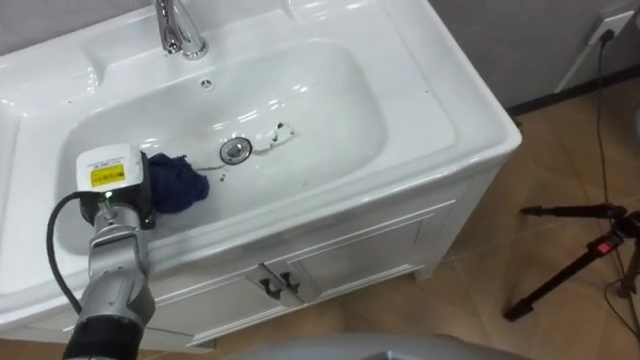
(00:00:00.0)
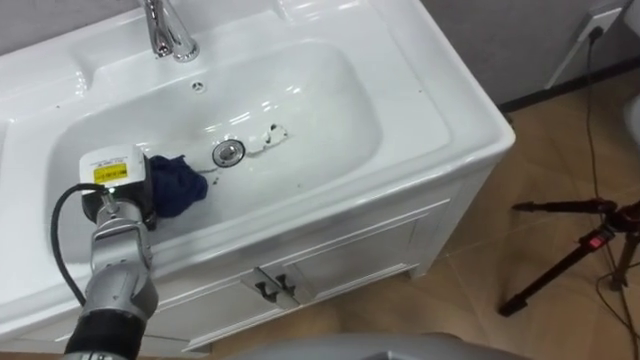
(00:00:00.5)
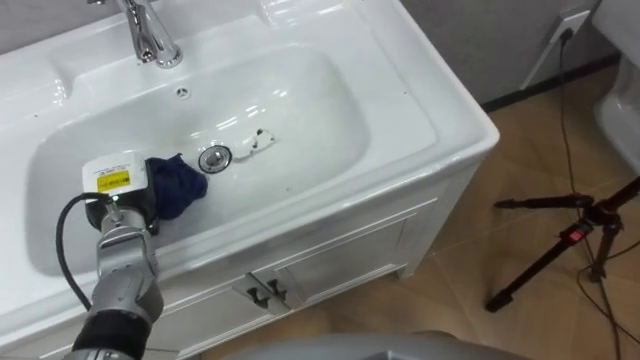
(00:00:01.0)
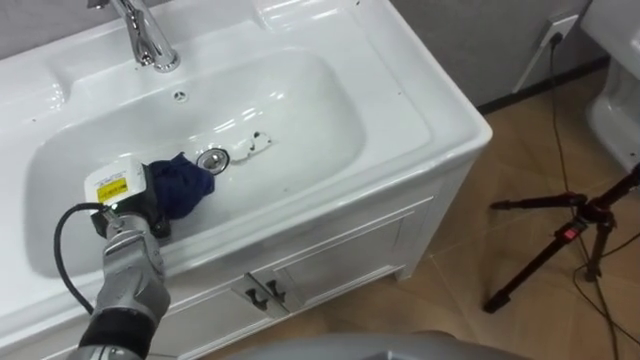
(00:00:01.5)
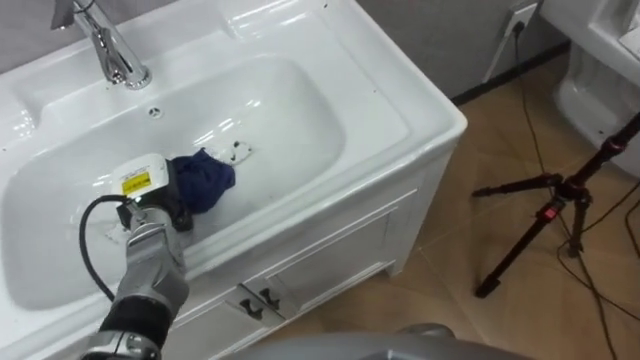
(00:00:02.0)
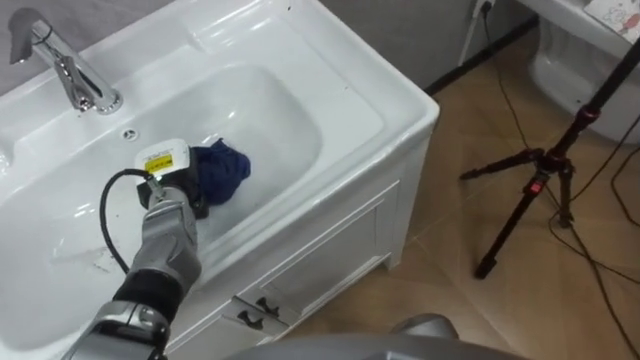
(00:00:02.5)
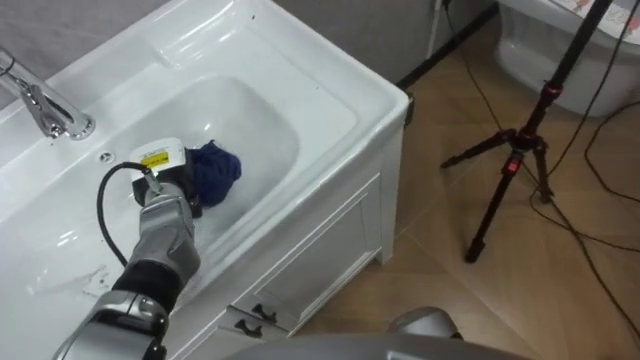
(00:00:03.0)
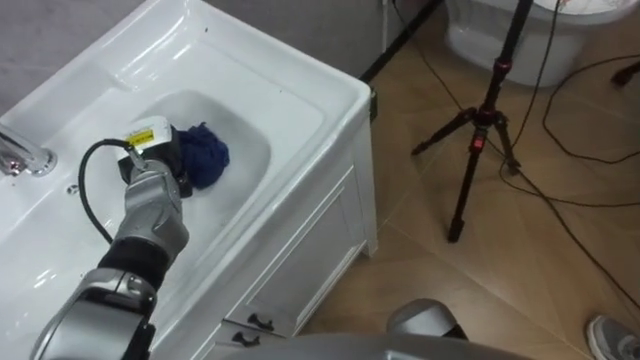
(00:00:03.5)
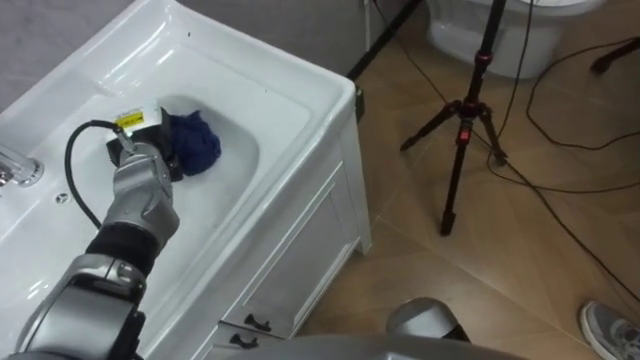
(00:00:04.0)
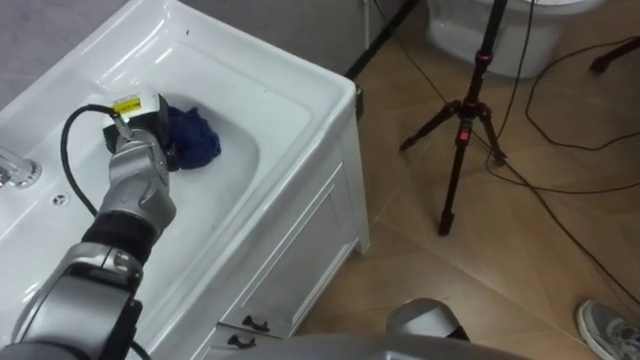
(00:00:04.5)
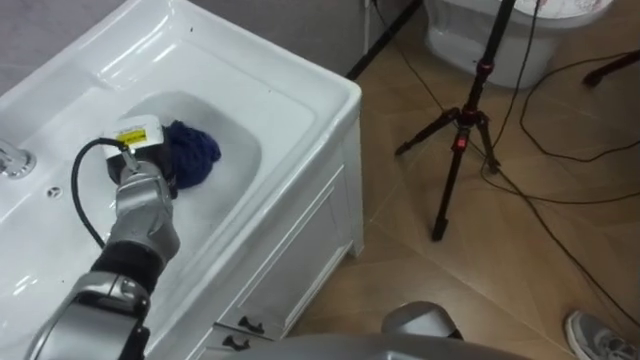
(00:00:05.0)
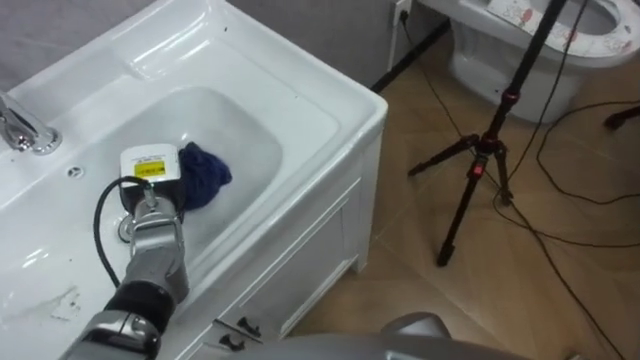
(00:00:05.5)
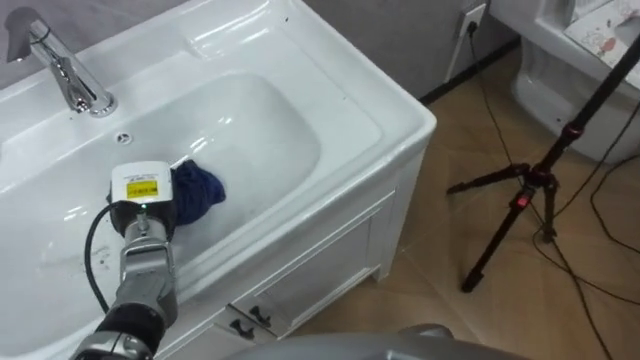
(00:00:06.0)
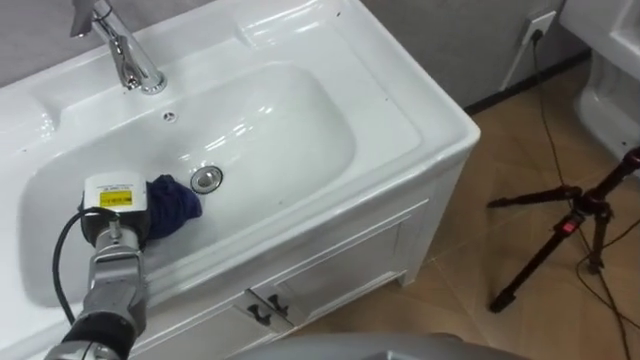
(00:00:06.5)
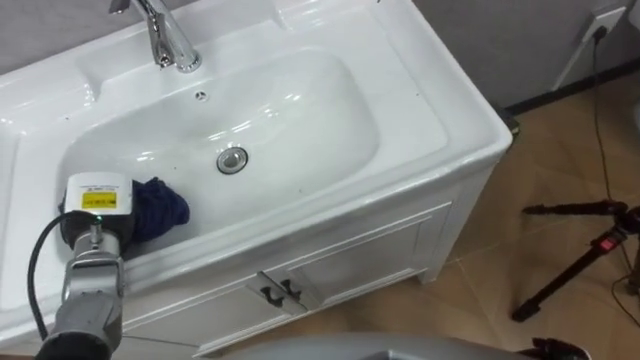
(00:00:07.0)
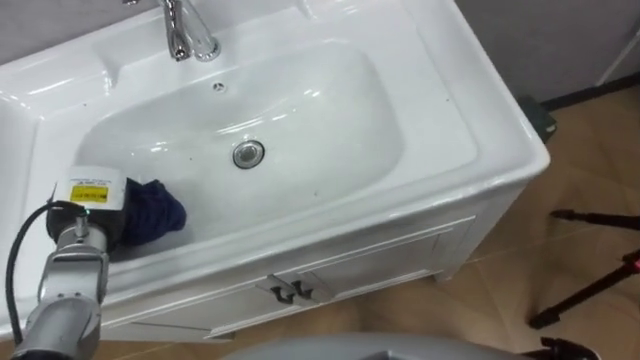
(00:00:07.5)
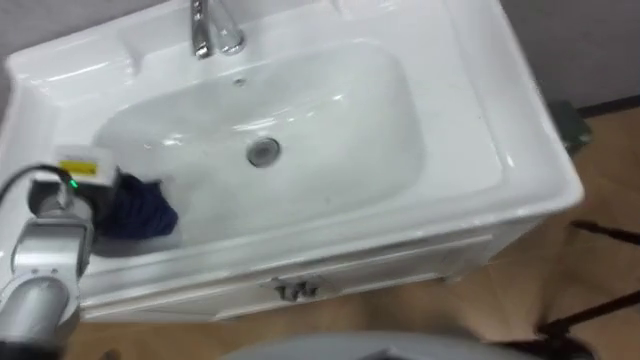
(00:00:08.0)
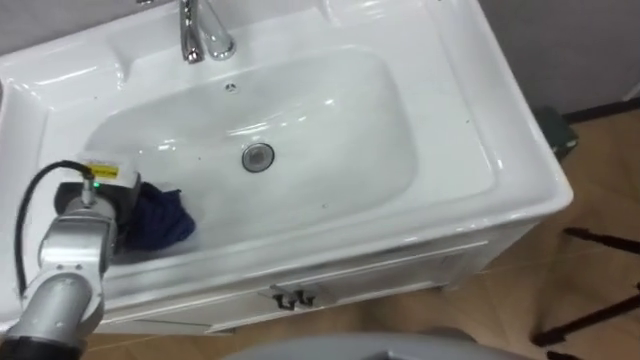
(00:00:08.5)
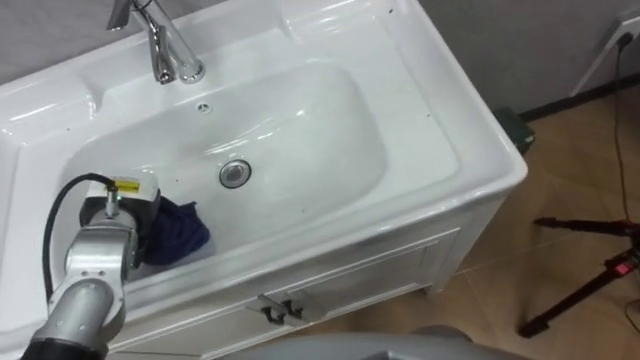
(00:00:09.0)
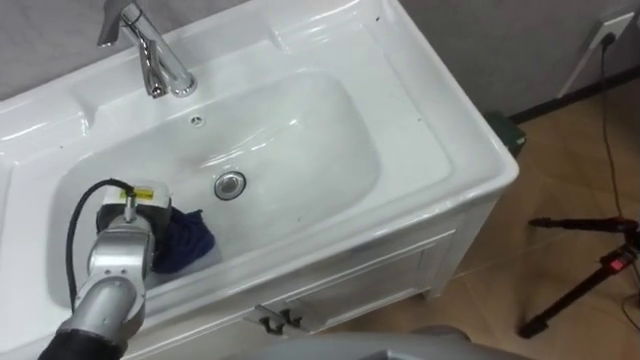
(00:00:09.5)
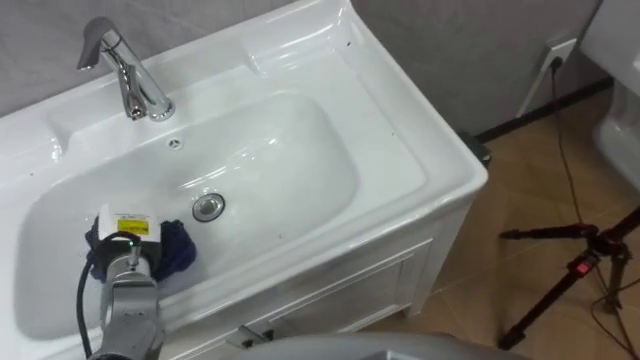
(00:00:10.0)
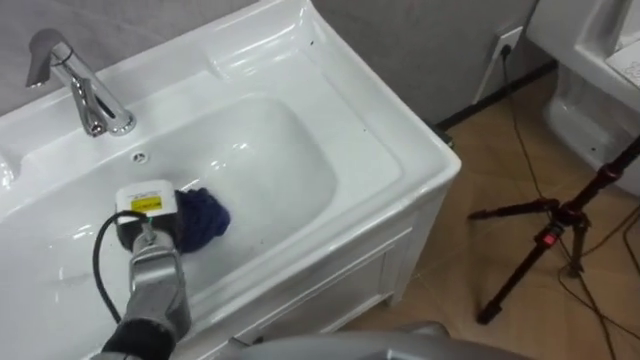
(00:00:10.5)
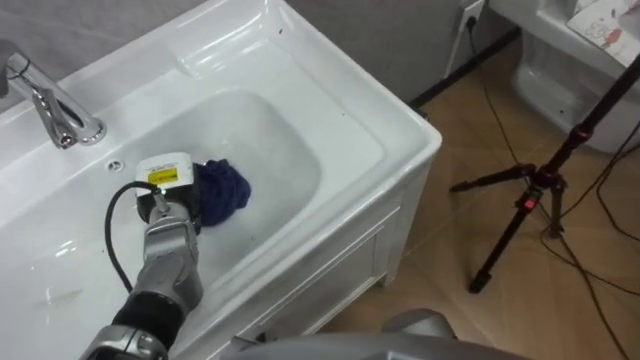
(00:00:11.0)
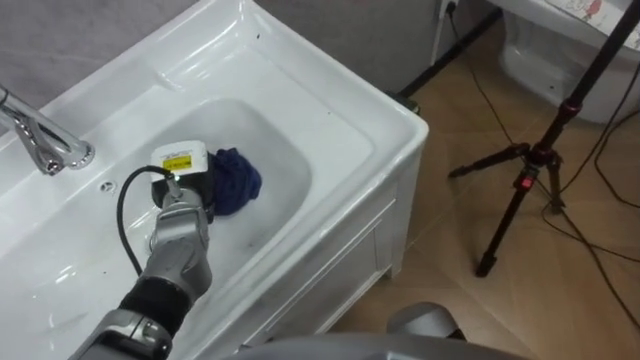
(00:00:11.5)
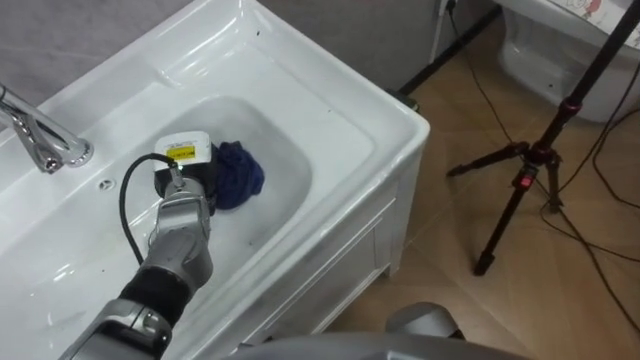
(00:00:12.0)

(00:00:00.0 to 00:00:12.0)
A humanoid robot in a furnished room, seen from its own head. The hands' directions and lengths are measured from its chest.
Task of the whole recording: Use the cloth on the right to wipe away the black stain in the sink.
00:00:00.0 - 00:00:02.0: The left hand moves about 5 cm.
00:00:02.0 - 00:00:04.0: The left hand is displaced forward by about 5 cm.
00:00:04.0 - 00:00:06.0: The left hand shifts approximately 10 cm backward and downward.
00:00:06.0 - 00:00:08.0: The left hand goes roughly 10 cm upward.
00:00:08.0 - 00:00:10.0: The left hand shifts roughly 10 cm downward and backward.
00:00:10.0 - 00:00:12.0: The left hand shifts roughly 15 cm forward and to the right.

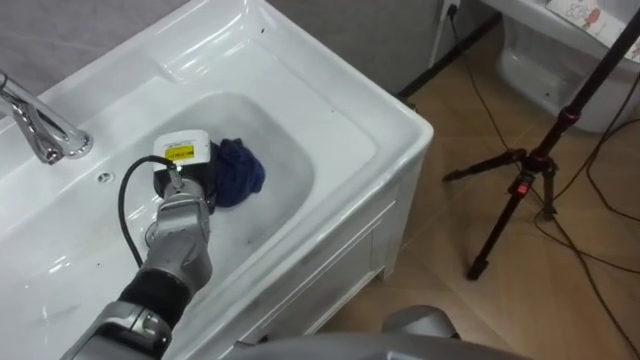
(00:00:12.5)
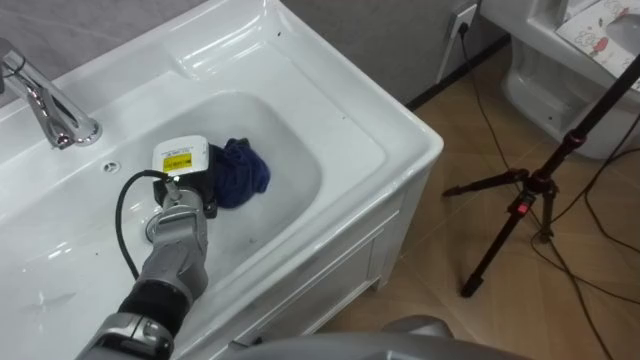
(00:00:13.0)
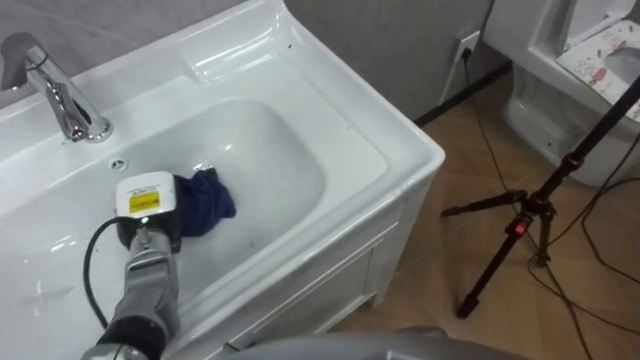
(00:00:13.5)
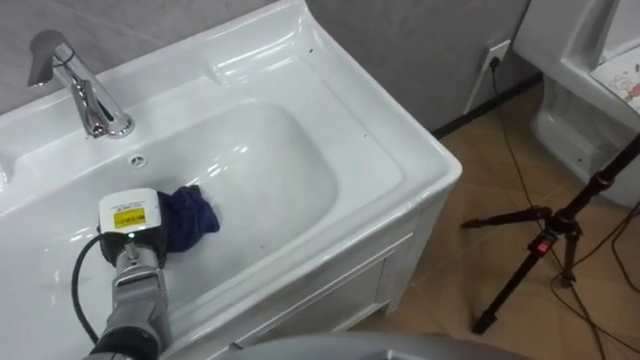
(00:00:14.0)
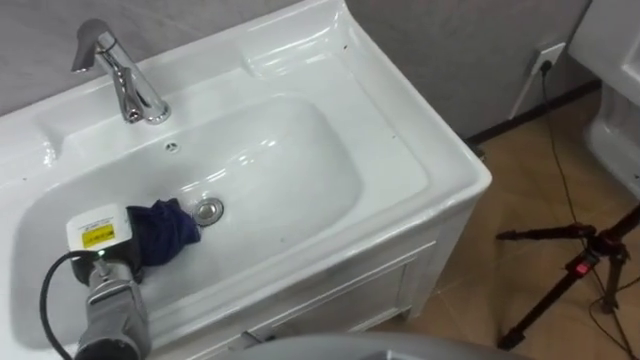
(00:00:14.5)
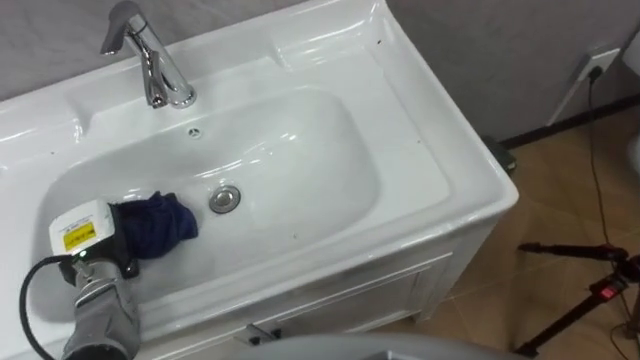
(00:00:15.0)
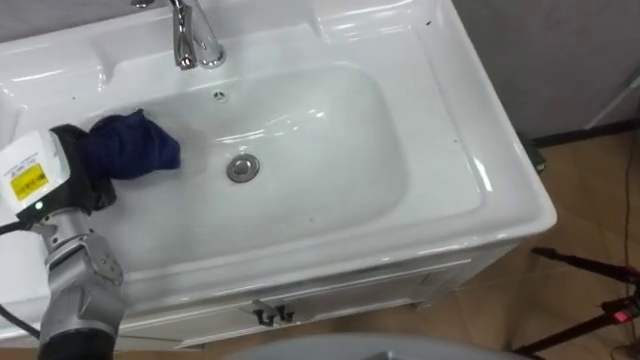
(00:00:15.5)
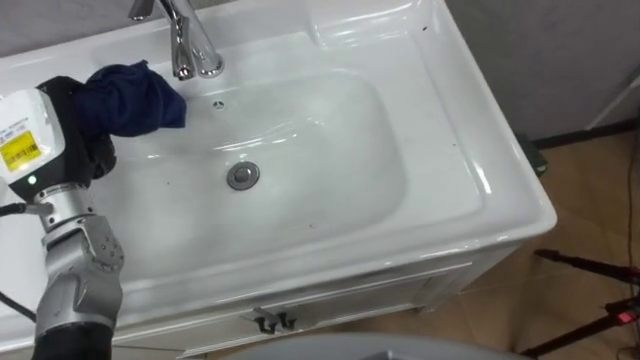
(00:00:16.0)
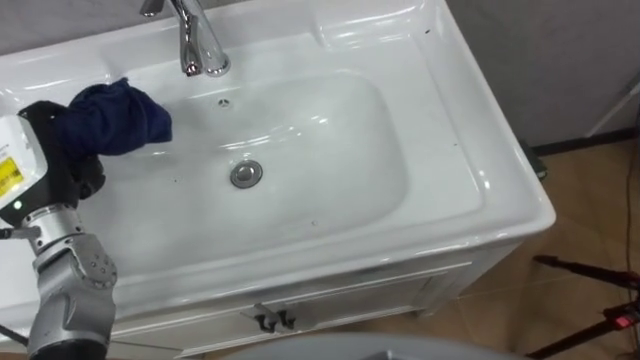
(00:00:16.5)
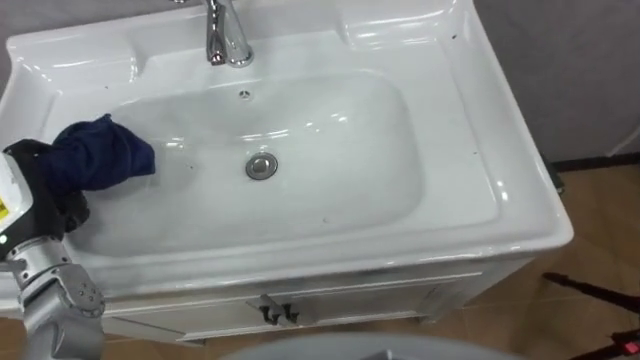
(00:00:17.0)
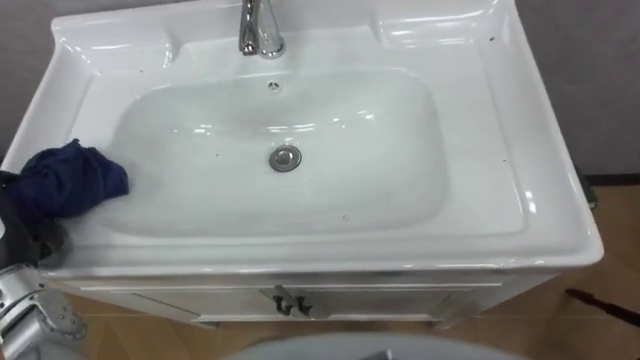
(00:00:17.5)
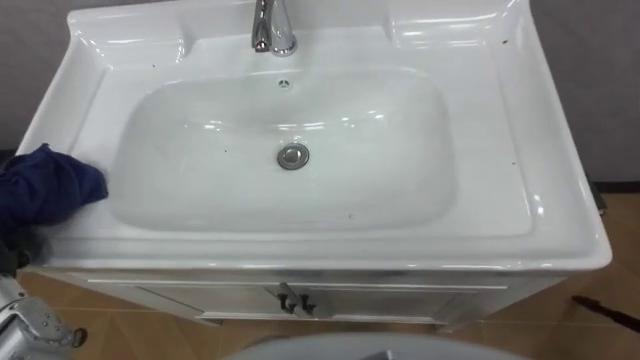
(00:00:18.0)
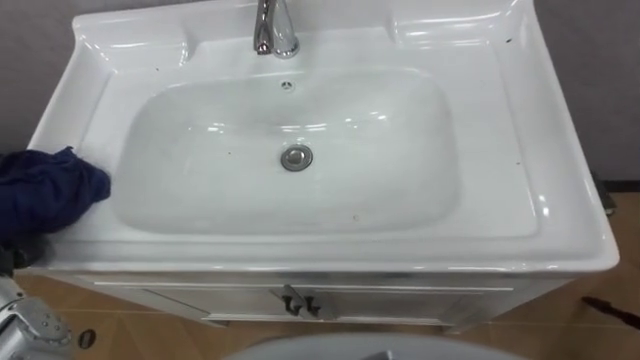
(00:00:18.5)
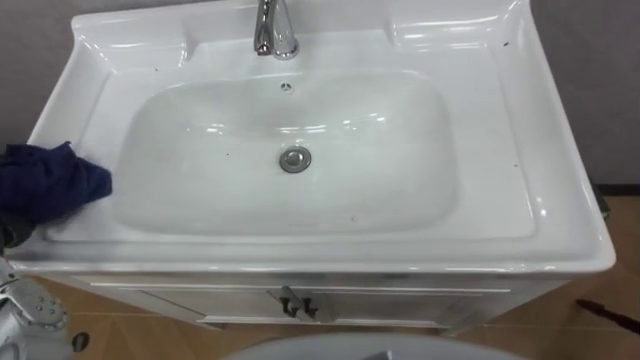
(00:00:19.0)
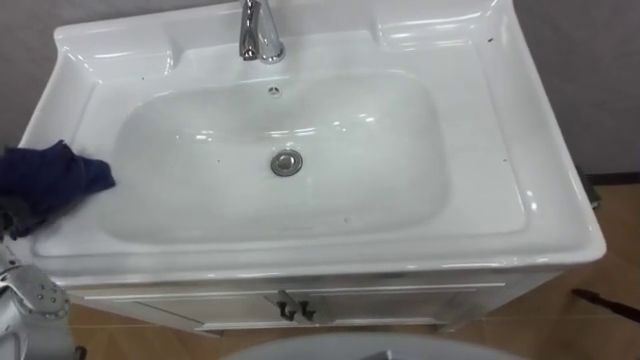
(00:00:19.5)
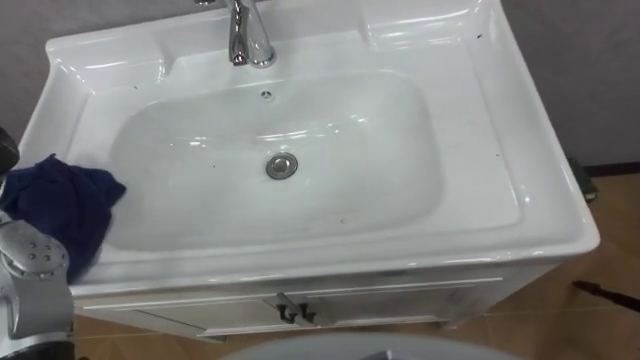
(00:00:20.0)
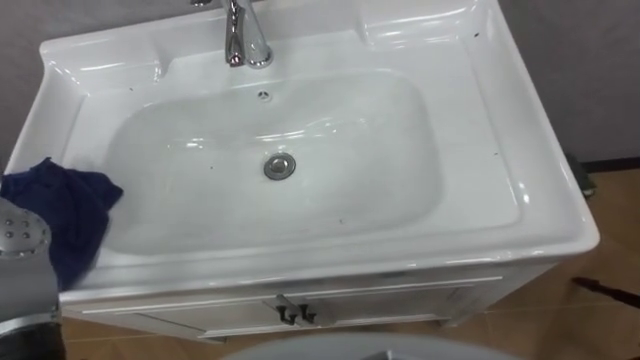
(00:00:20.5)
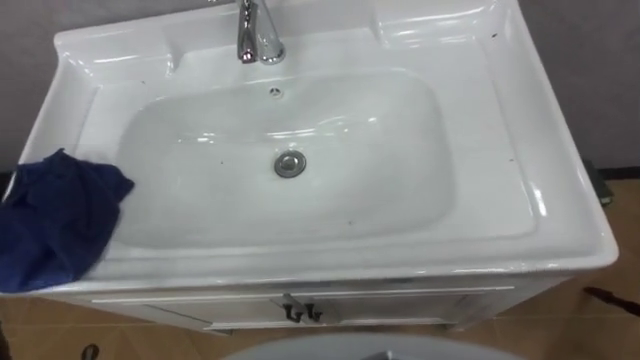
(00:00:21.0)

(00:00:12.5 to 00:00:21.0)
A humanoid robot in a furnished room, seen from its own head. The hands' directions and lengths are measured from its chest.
Task of the whole recording: Use the cloth on the right to wipe away the black stain in the sink.
00:00:12.5 - 00:00:14.5: The left hand is displaced to the left and backward by roughly 15 cm.
00:00:14.5 - 00:00:16.5: The left hand is displaced upward by some 15 cm.
